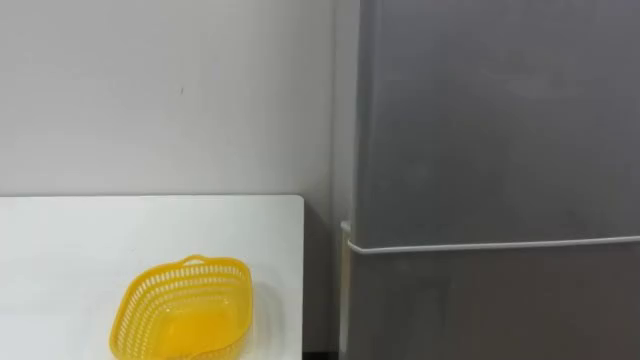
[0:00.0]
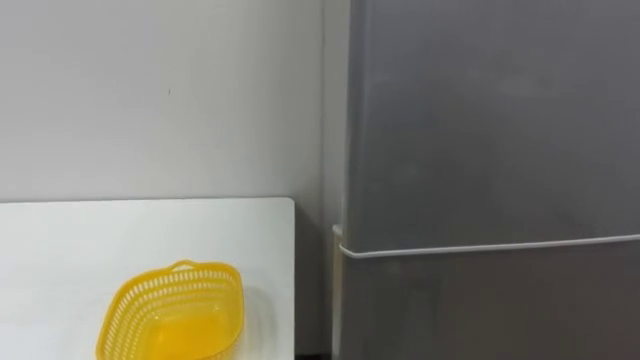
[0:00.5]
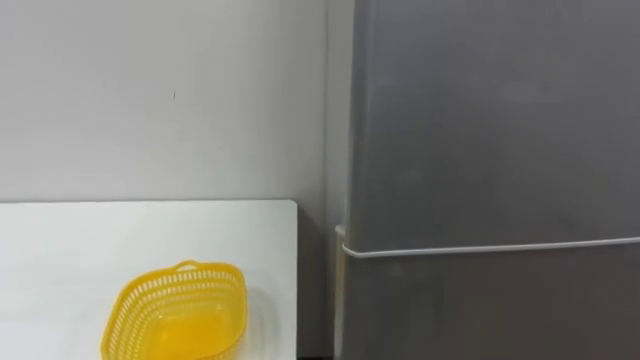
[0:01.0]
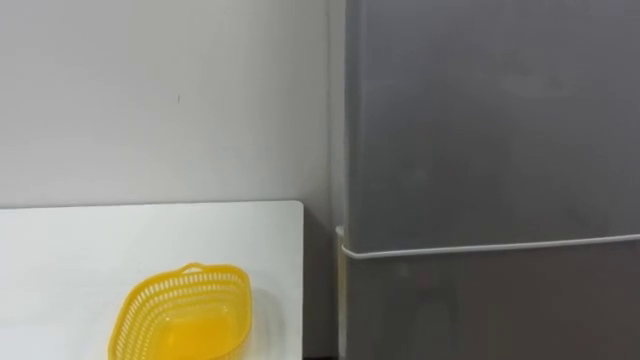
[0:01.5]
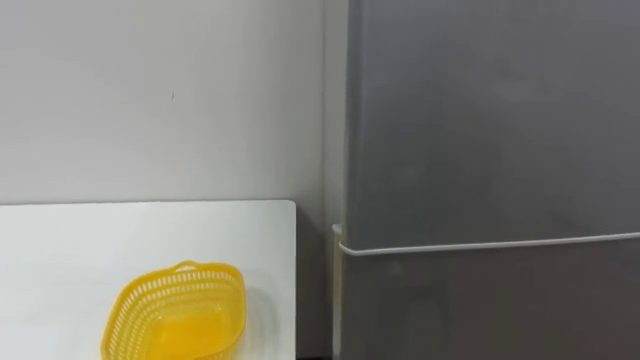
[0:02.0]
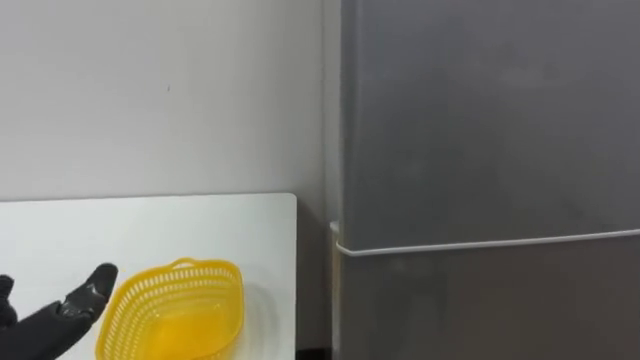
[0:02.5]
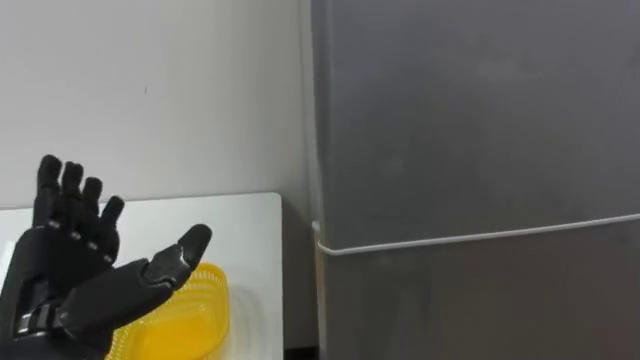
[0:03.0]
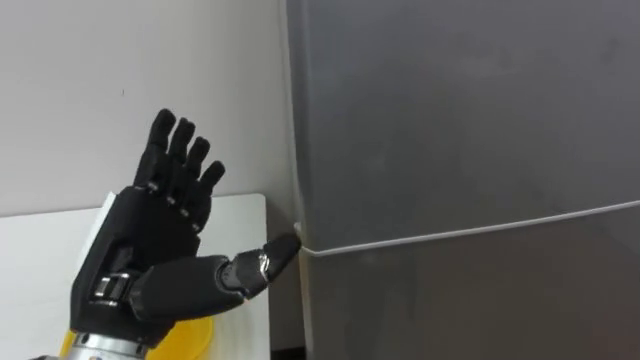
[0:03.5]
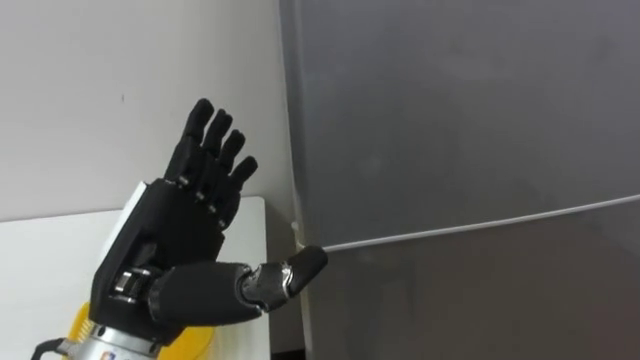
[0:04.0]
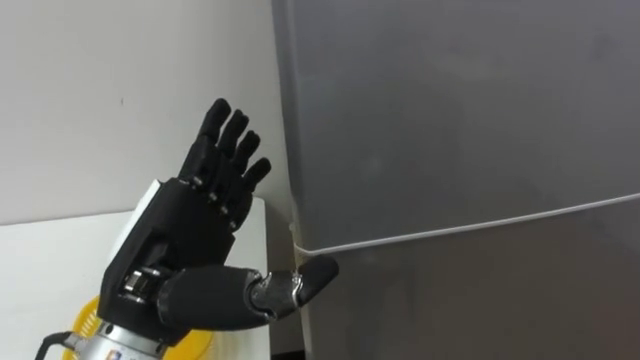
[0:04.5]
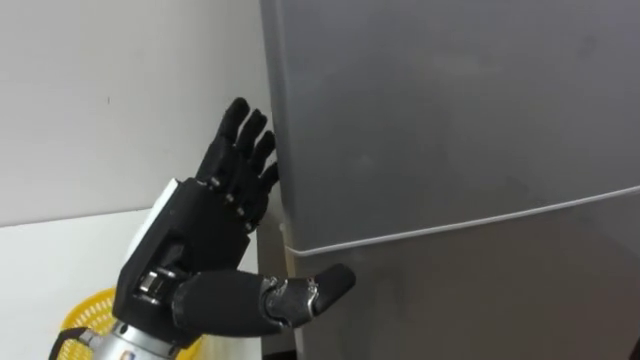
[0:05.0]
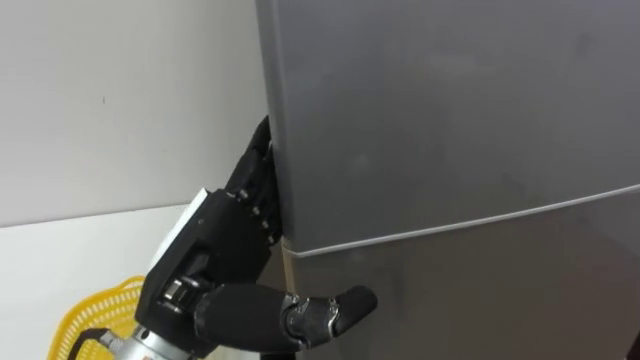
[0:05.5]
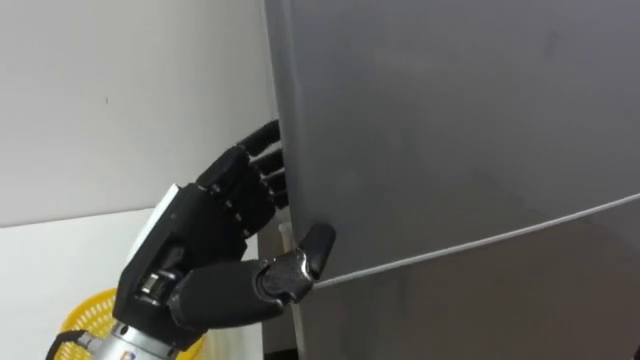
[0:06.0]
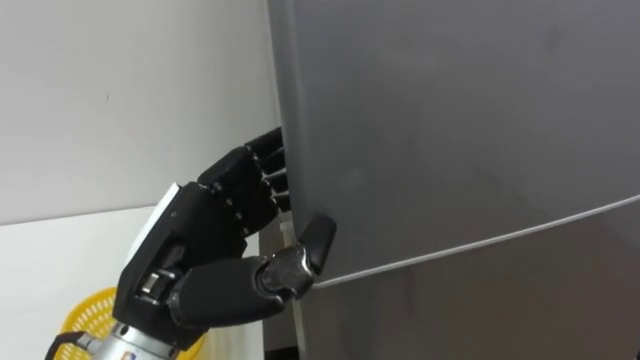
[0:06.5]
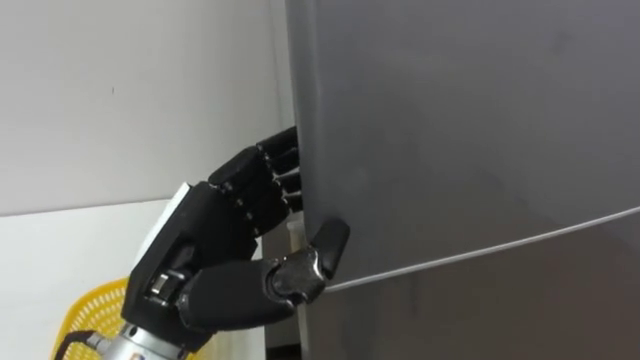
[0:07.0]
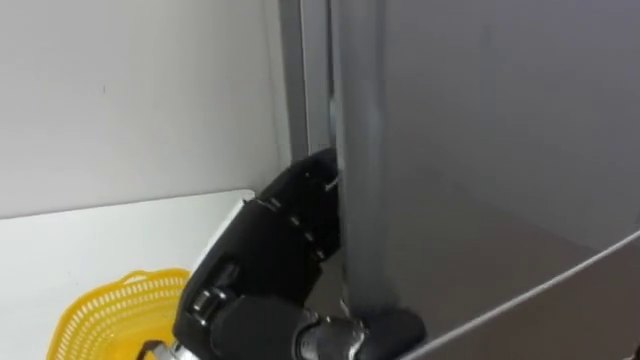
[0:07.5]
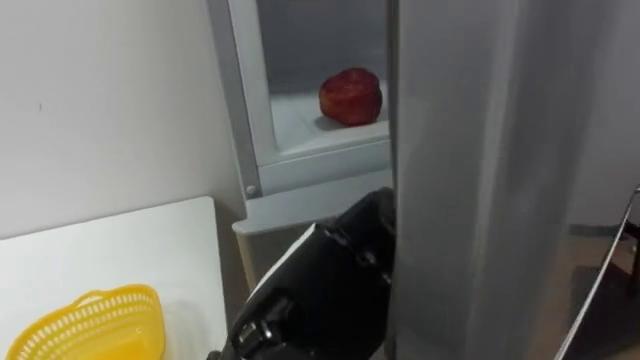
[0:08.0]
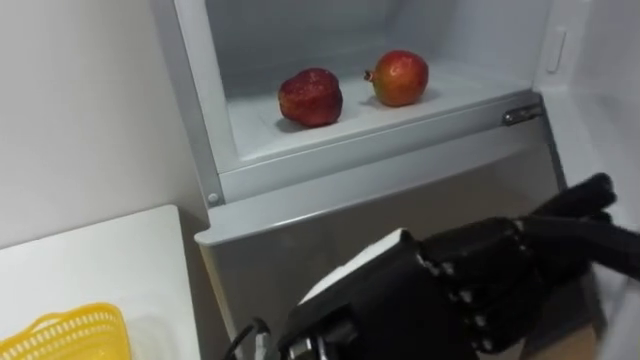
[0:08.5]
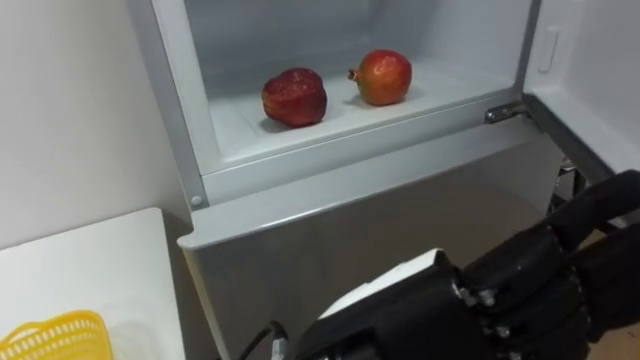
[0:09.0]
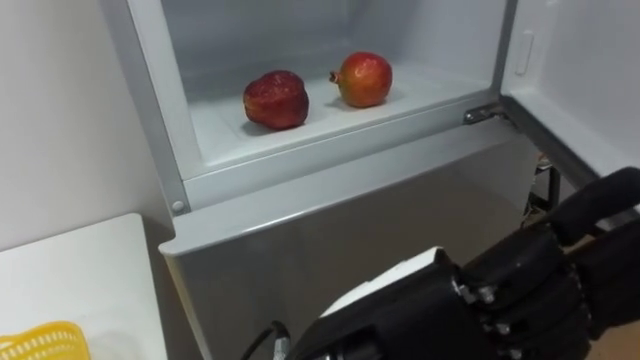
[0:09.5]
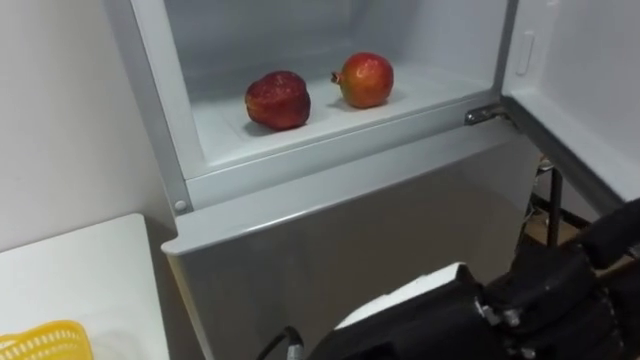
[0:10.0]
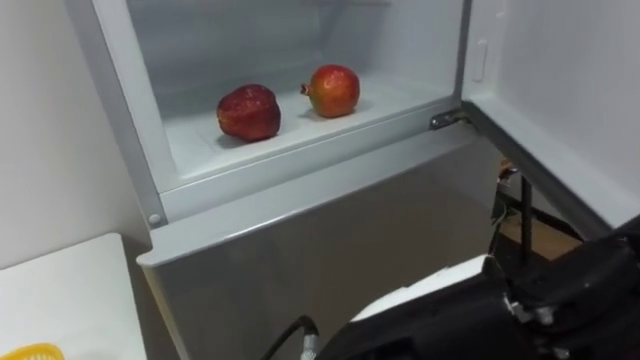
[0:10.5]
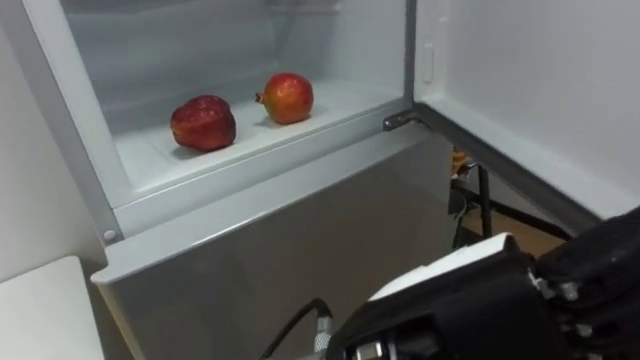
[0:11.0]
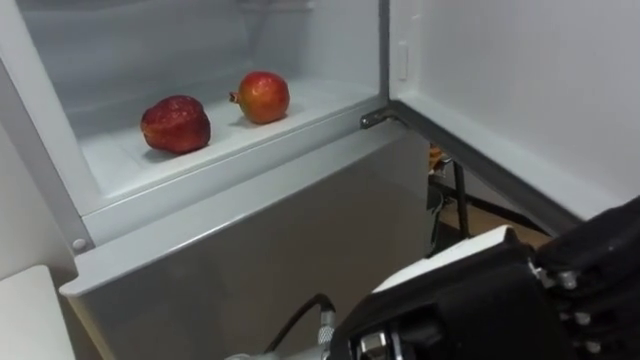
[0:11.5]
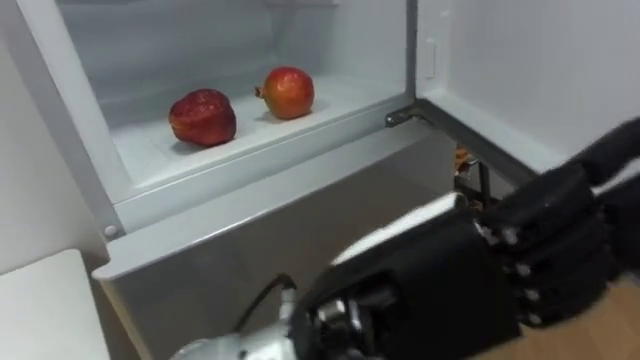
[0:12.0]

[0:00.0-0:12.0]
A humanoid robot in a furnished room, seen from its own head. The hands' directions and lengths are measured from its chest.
Task of the whole recording: Open the refrigerator door, take out the apple and the pomegranate, place them in the fruit basket on the left, and close the refrigerator door.
0:06.0 to 0:08.0: The left hand travels to the right and backward by about 10 cm.
0:08.0 to 0:10.0: The left hand goes approximately 5 cm to the right and backward.

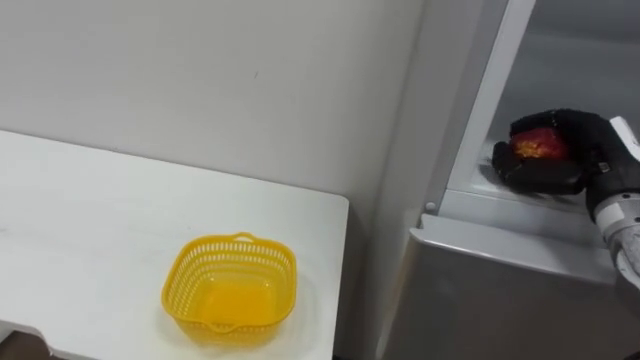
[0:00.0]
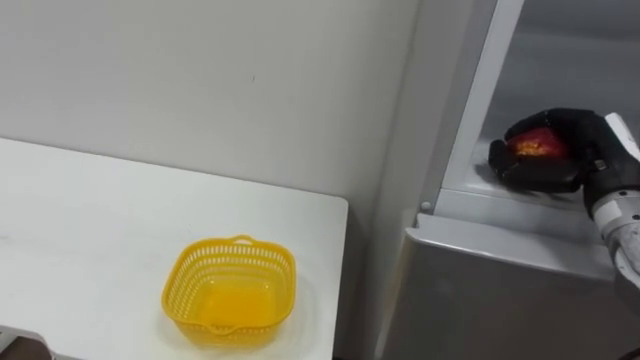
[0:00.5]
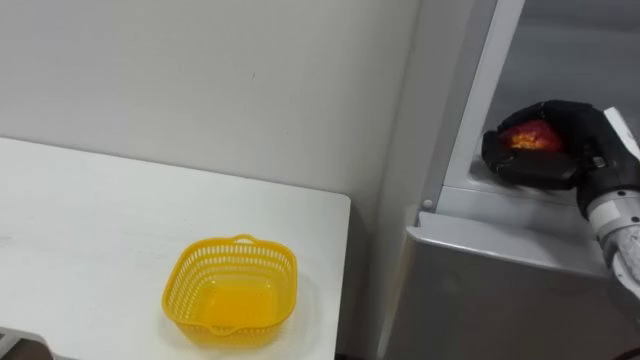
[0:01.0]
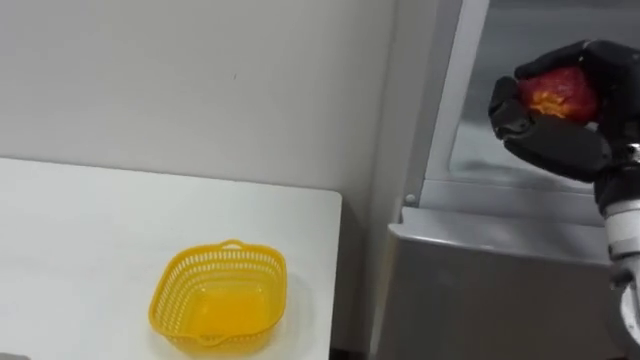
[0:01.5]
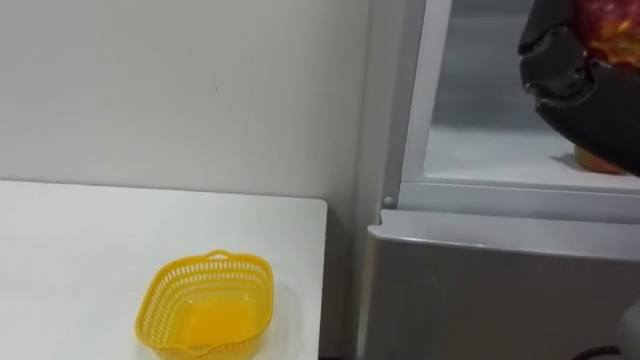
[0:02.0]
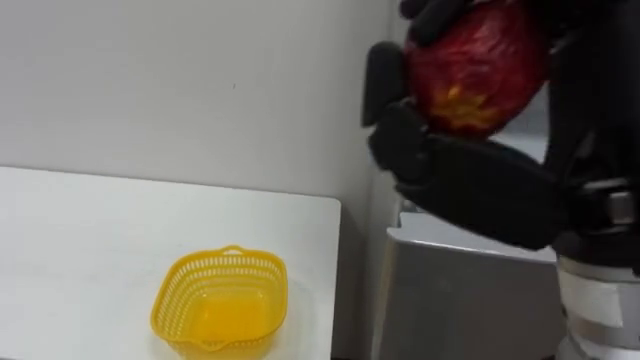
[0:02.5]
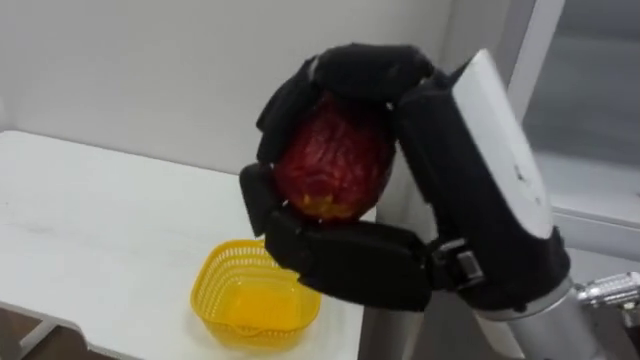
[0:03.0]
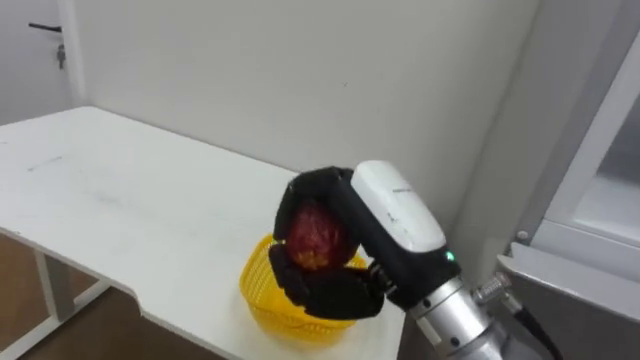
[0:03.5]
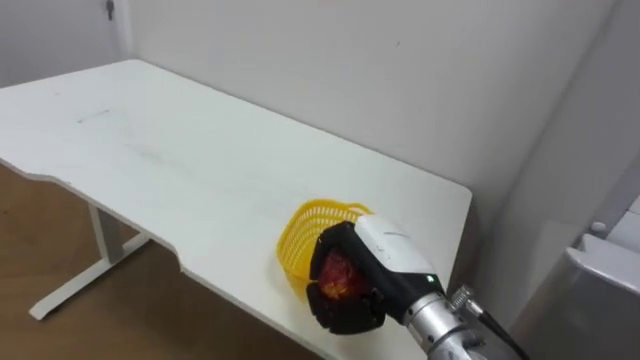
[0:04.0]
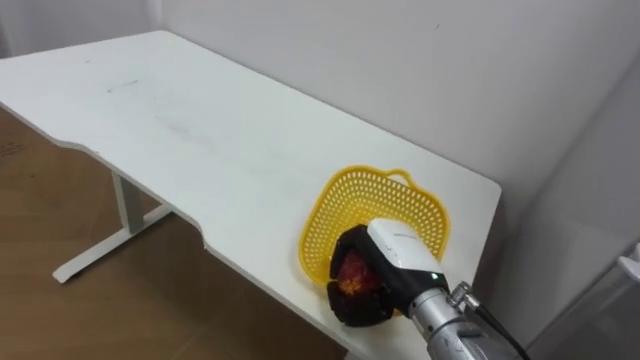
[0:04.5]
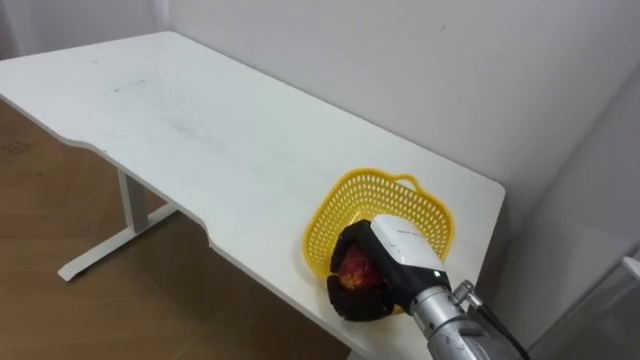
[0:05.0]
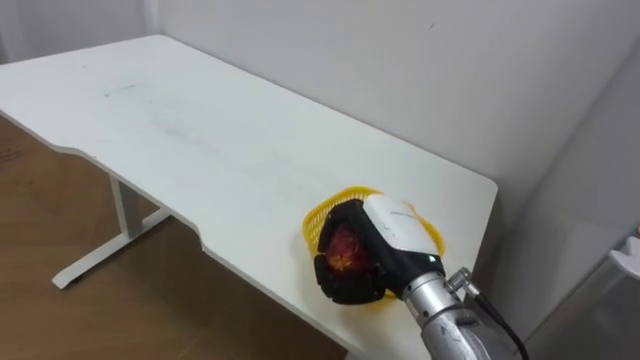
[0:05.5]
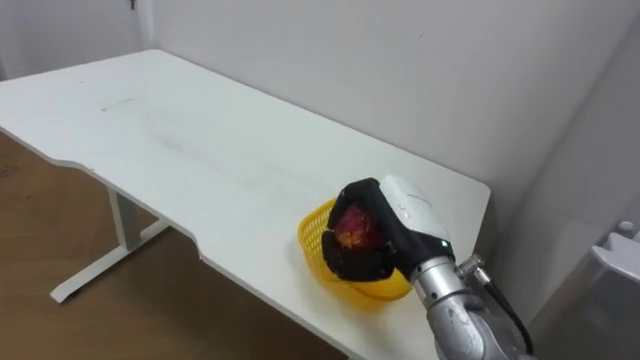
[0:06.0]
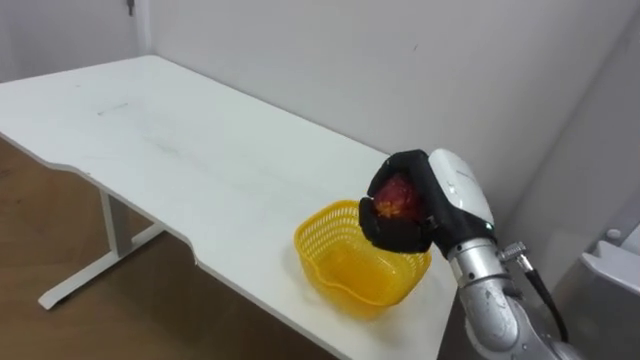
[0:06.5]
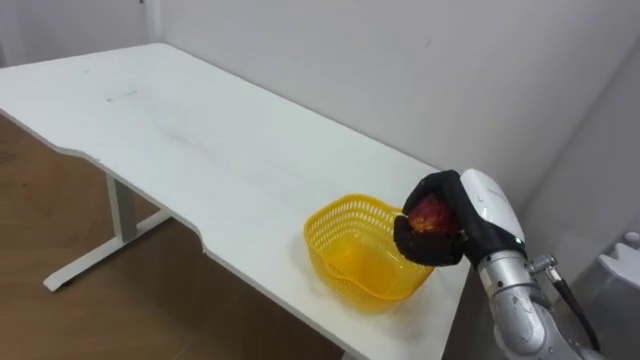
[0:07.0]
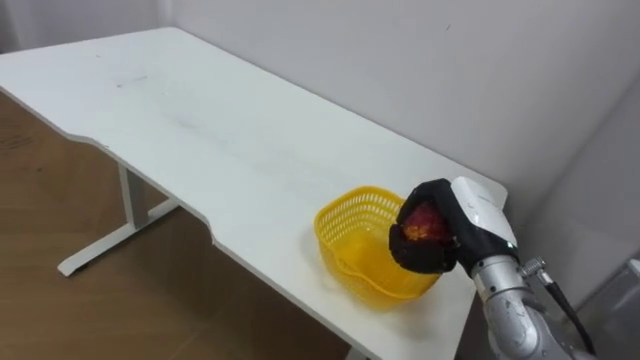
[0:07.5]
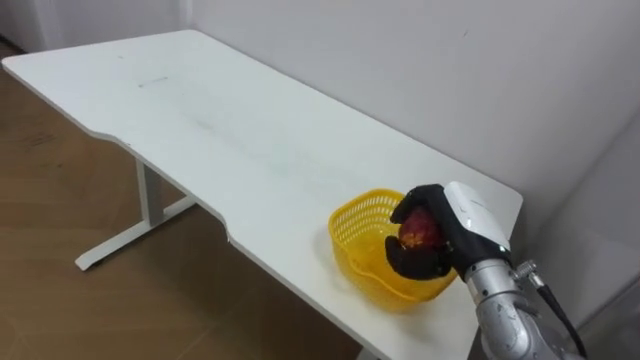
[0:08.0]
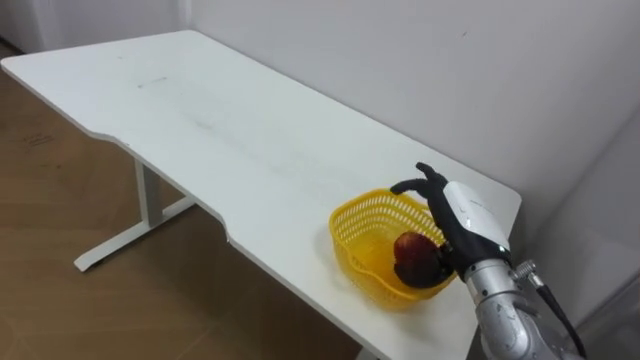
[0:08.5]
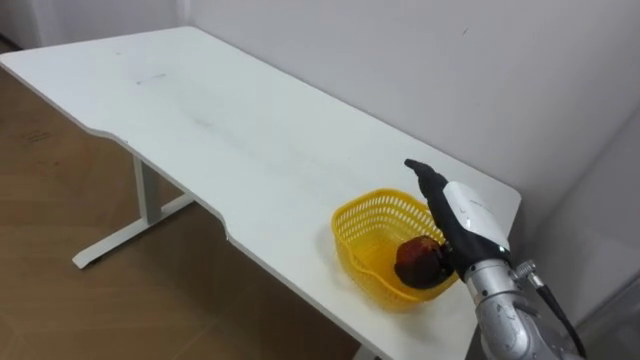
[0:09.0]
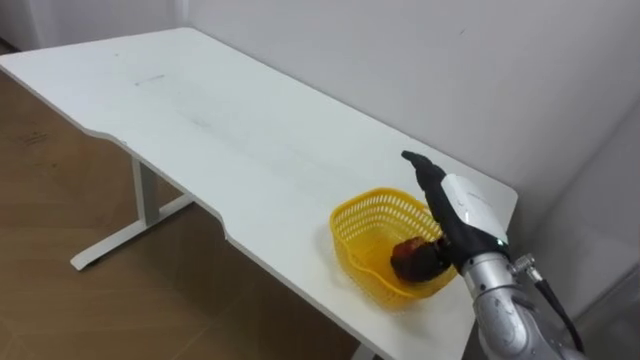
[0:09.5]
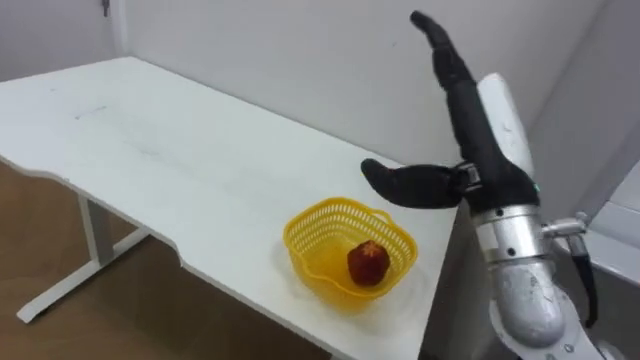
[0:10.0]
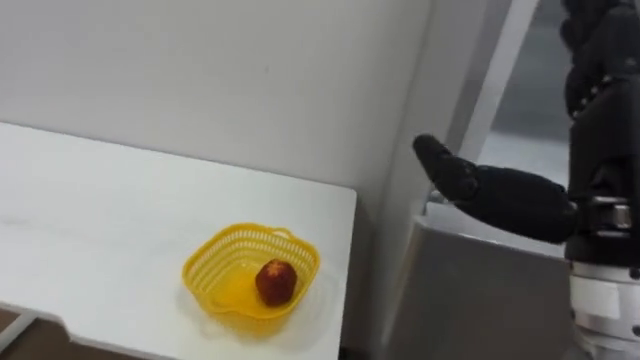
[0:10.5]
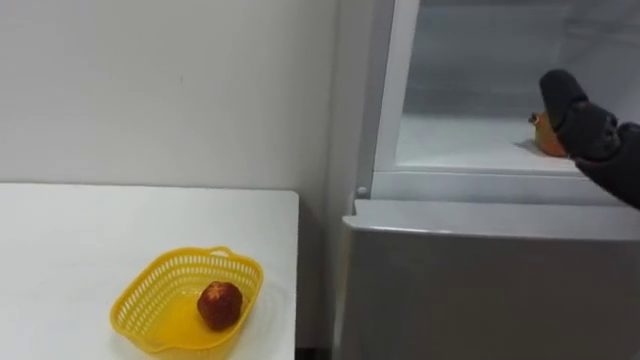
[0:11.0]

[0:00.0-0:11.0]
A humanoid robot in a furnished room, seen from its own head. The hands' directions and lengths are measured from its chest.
Task of the whole recording: Open the refrigerator door, take out the apple and the pomegranate, place them in the fruit basket on the left, and close the refrigerator door.
0:03.5 to 0:05.5: The right hand heads downward and forward, covering approximately 15 cm.
0:05.5 to 0:07.5: The right hand goes roughly 10 cm to the right.
0:07.5 to 0:09.0: The right hand opens.
